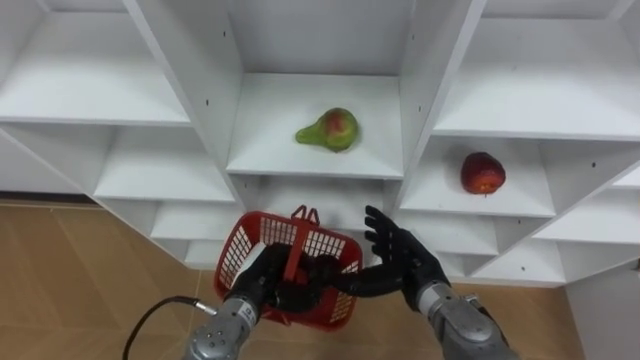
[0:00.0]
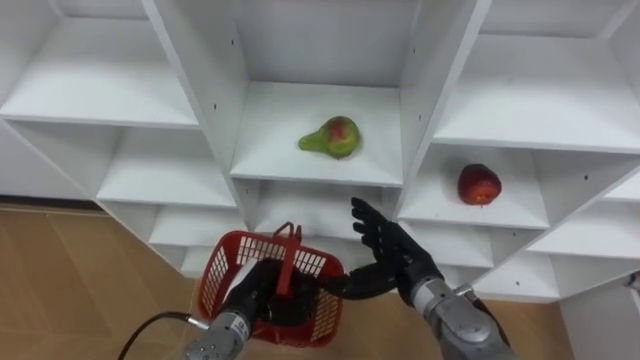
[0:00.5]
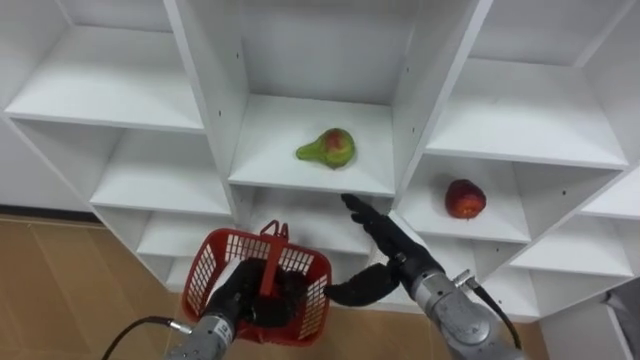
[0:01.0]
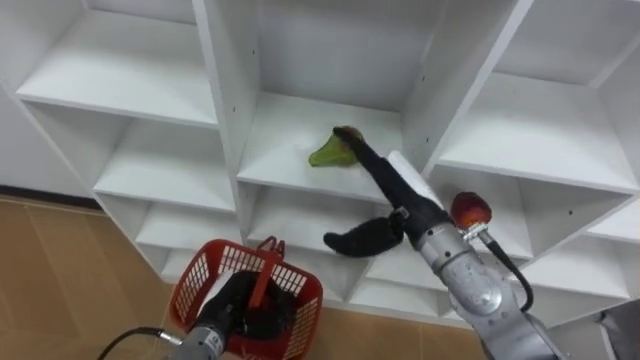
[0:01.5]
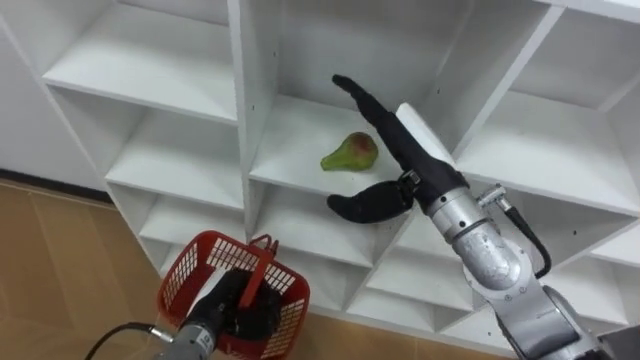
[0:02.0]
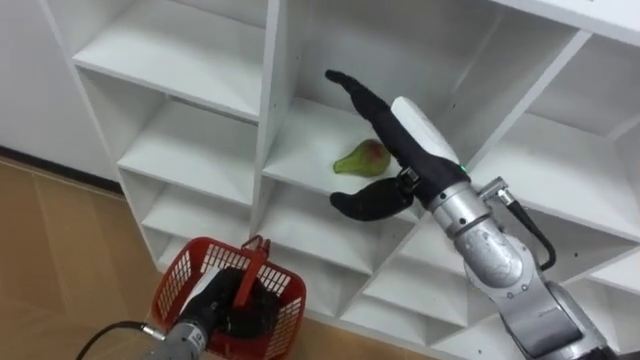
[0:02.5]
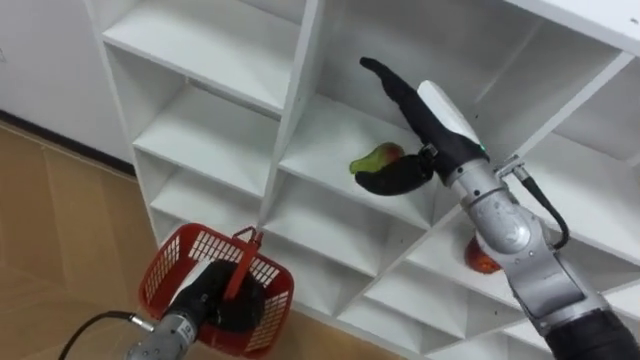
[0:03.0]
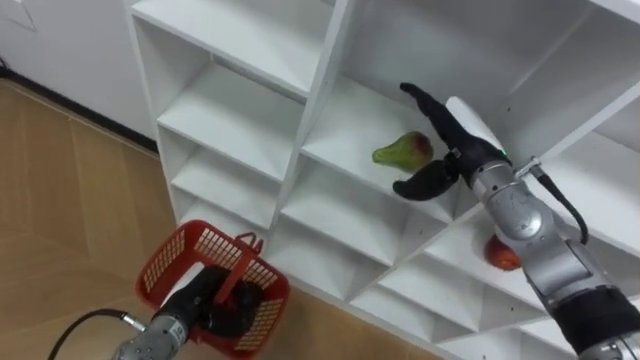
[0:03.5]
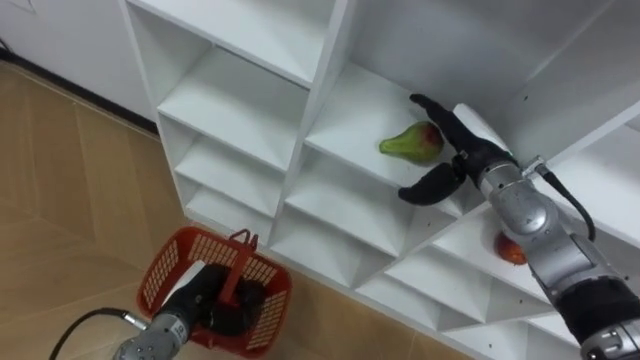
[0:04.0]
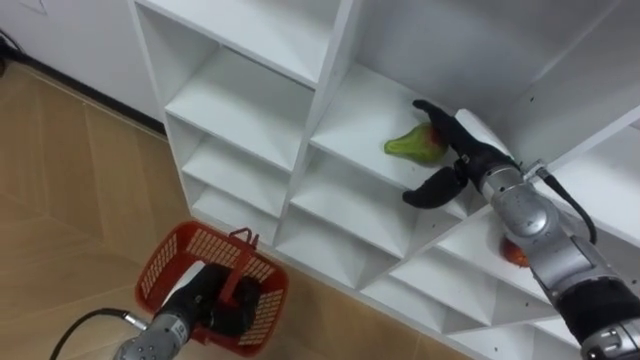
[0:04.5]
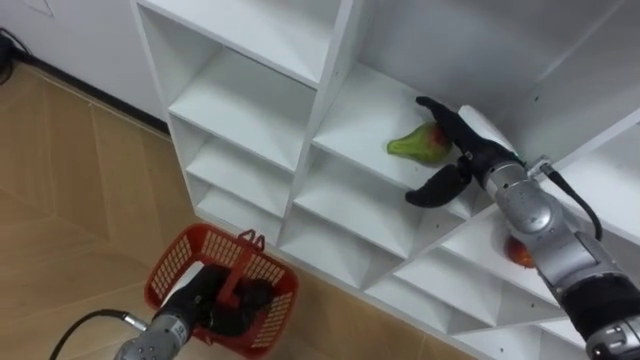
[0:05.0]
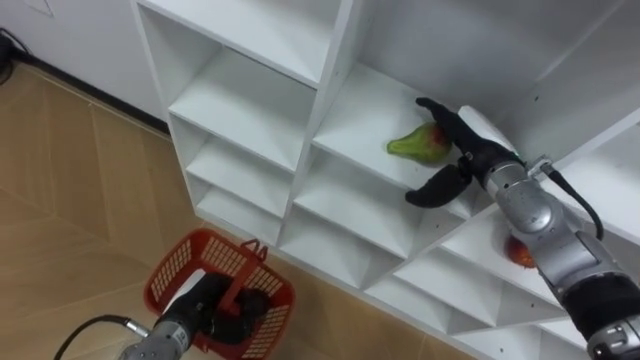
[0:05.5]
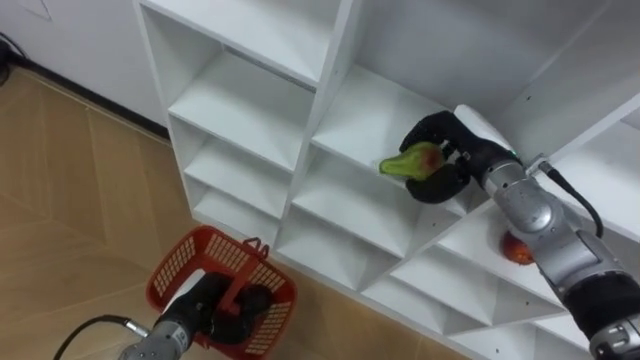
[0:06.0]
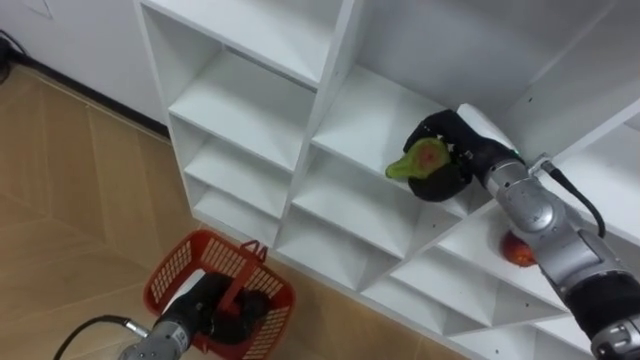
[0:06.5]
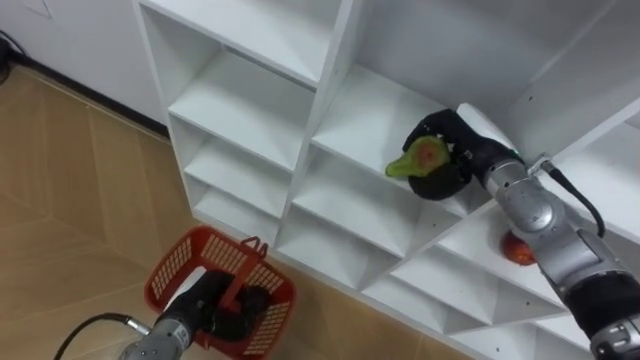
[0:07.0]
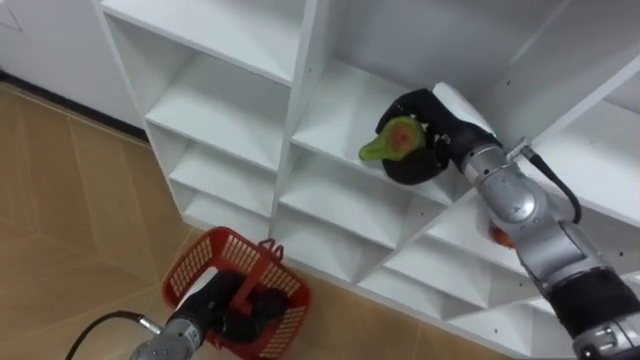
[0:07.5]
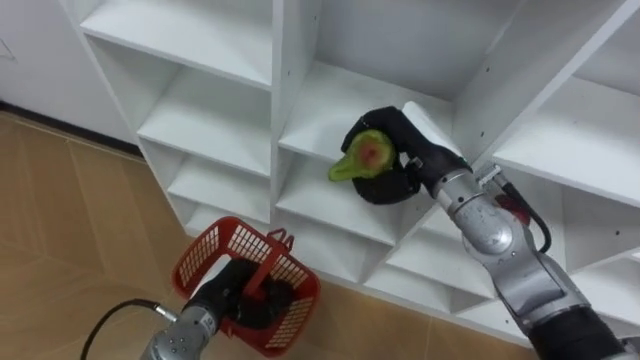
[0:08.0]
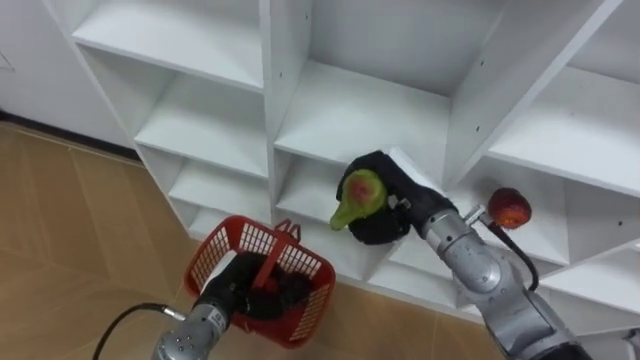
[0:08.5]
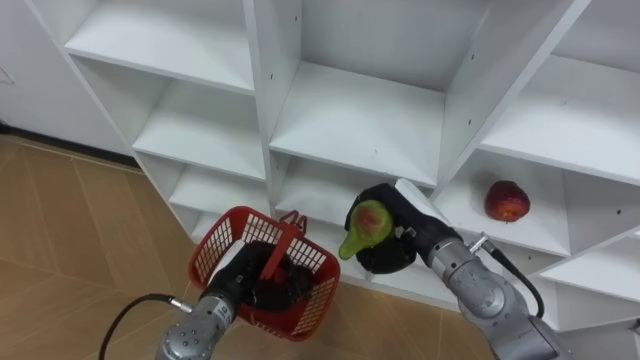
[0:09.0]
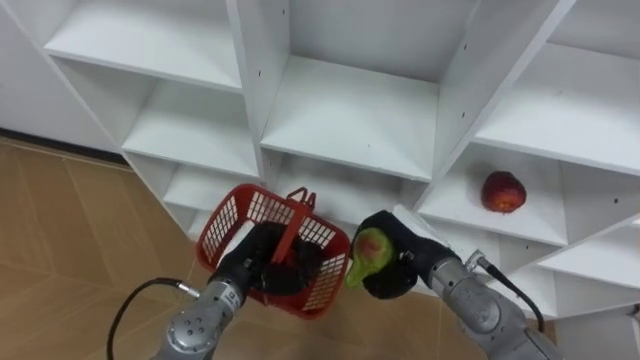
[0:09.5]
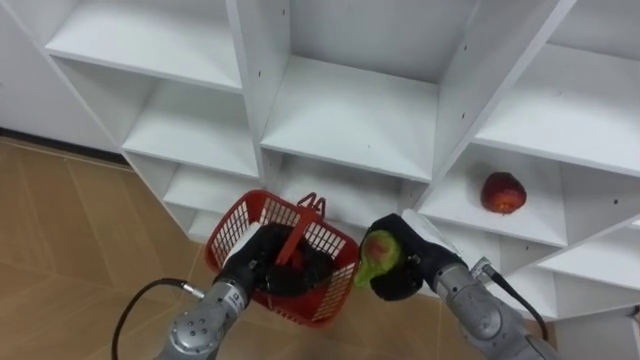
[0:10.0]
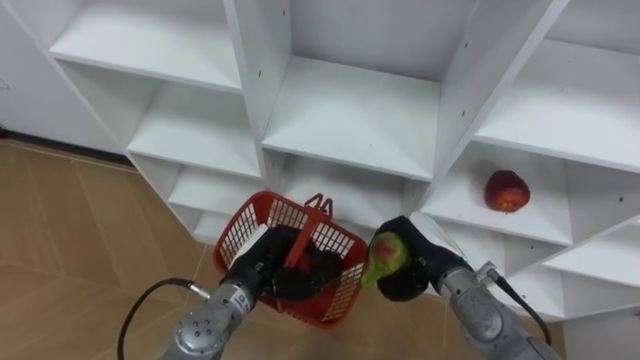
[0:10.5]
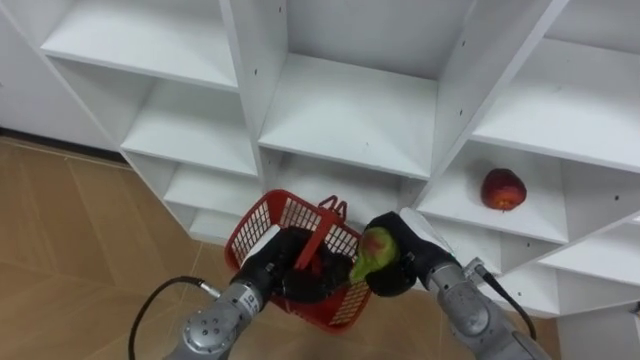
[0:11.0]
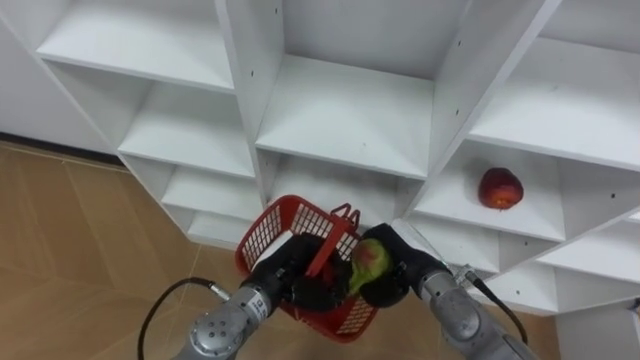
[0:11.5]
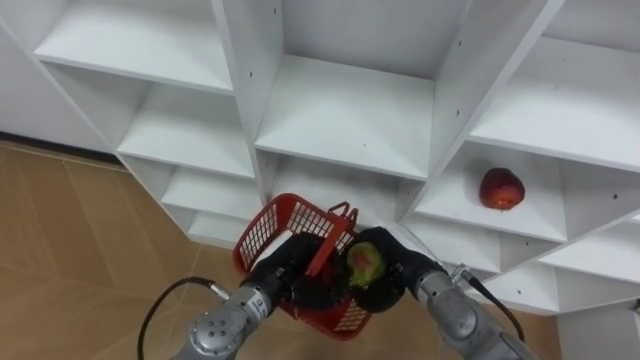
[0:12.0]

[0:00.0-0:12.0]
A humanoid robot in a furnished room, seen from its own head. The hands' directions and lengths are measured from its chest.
Task of the whole recording: Hold the basket and collect the fruits from 3 different cells of the closet into it.
0:00.0 to 0:02.0: The left hand moves to the left, roughly 5 cm, while the right hand moves upward, roughly 20 cm.
0:02.0 to 0:04.0: The right hand moves to the right, forward and downward, roughly 10 cm.
0:04.0 to 0:06.0: The right hand closes its fingers.
0:06.0 to 0:08.0: The right hand goes approximately 5 cm to the left.
0:08.0 to 0:10.0: The right hand heads downward and backward, covering approximately 15 cm, while the left hand heads to the right, covering some 5 cm.
0:10.0 to 0:12.0: The hands move only a little.

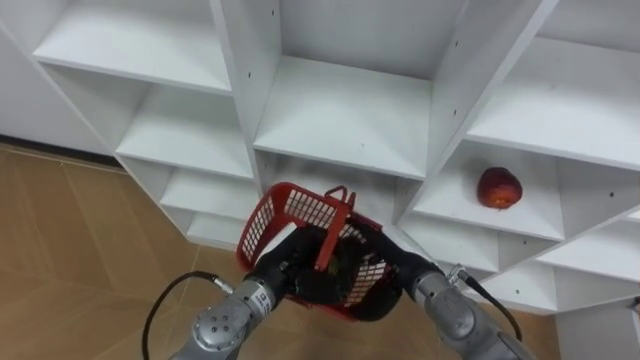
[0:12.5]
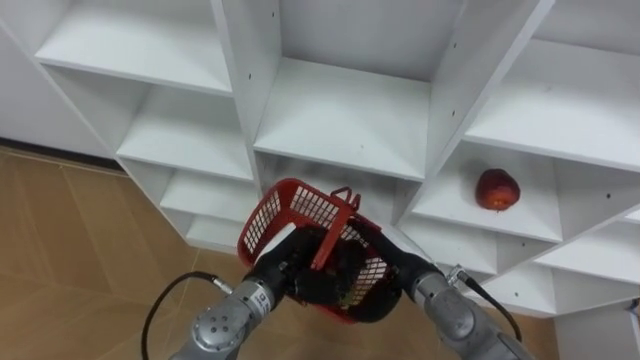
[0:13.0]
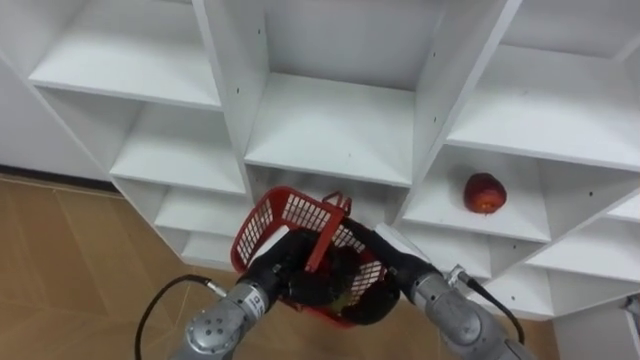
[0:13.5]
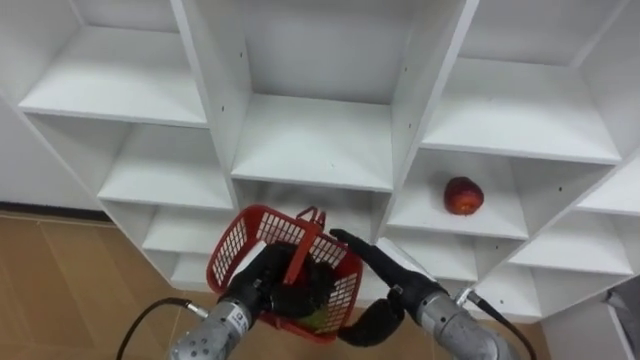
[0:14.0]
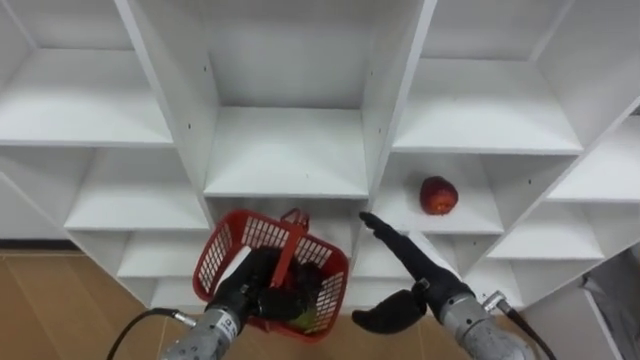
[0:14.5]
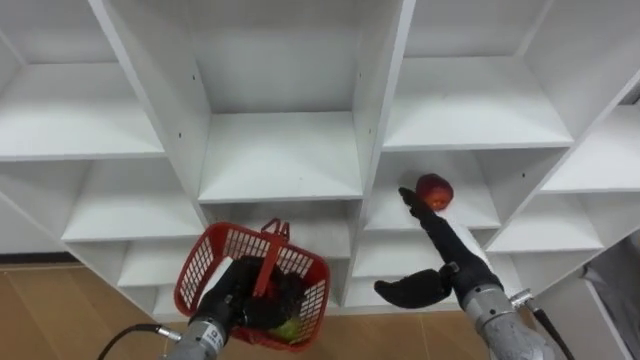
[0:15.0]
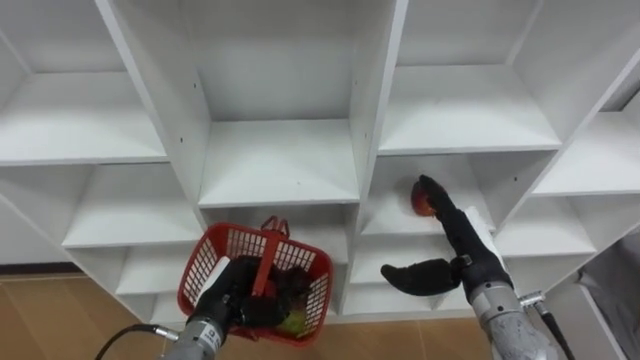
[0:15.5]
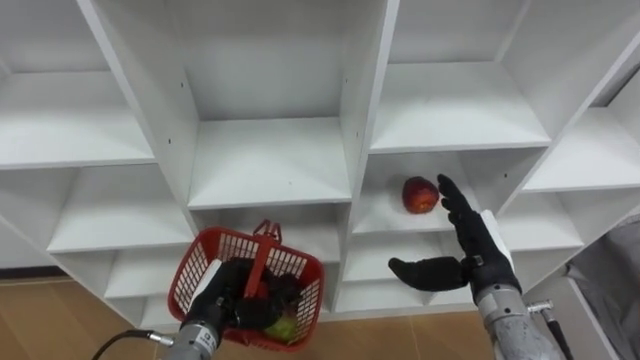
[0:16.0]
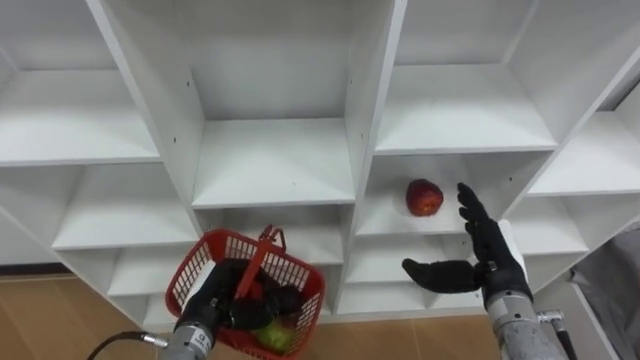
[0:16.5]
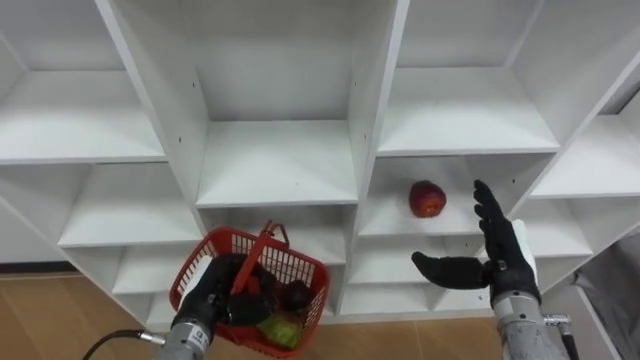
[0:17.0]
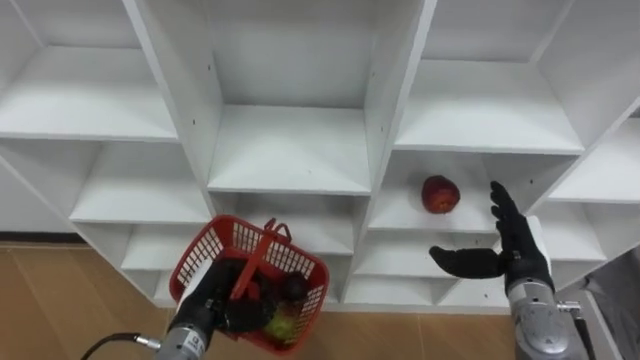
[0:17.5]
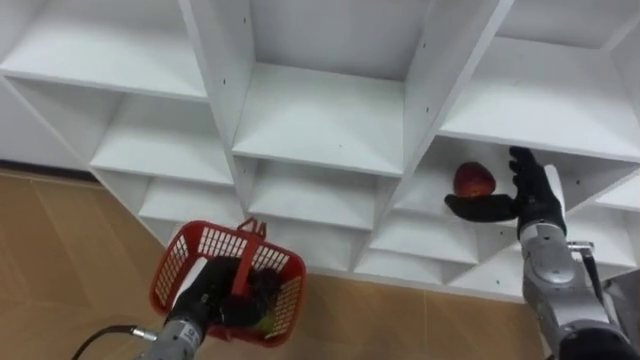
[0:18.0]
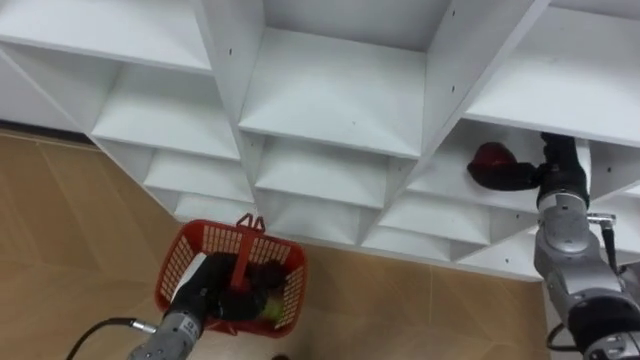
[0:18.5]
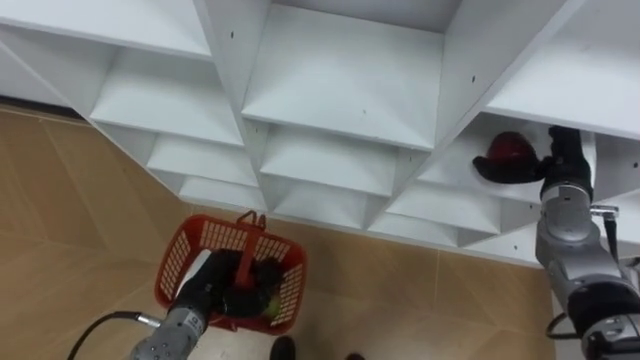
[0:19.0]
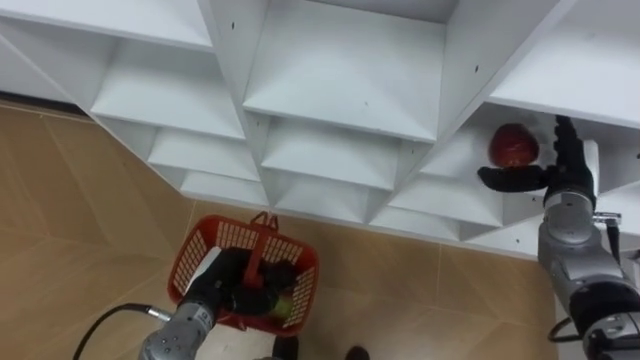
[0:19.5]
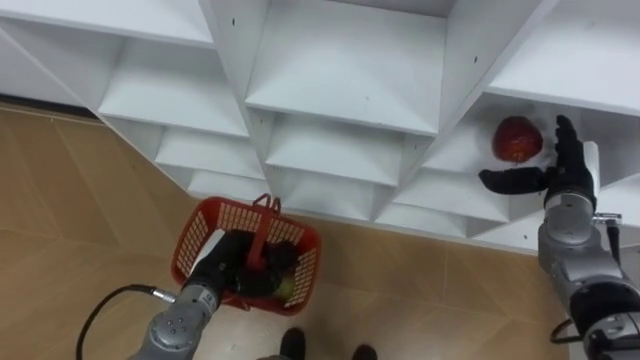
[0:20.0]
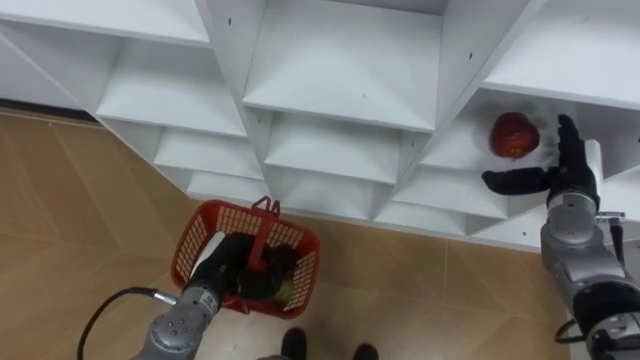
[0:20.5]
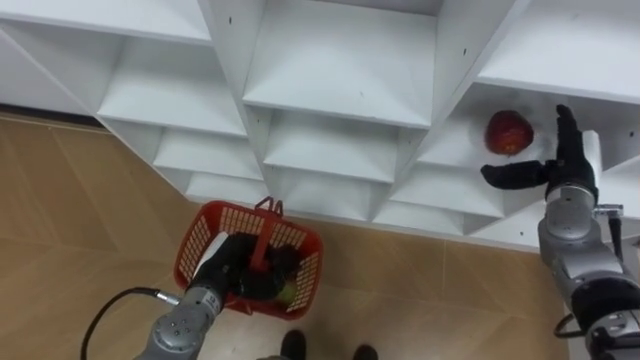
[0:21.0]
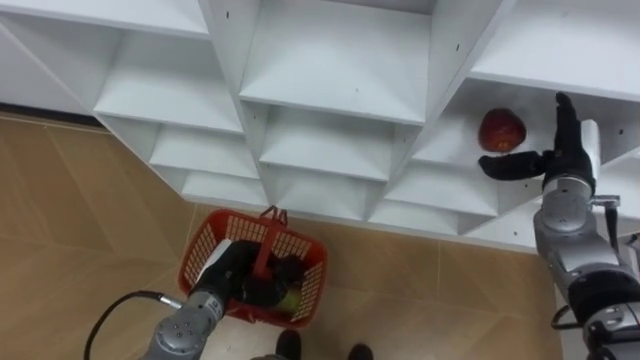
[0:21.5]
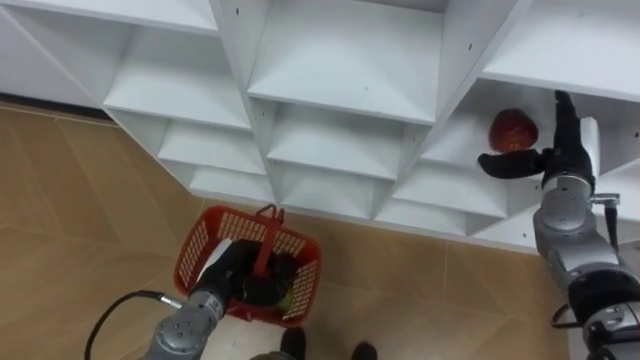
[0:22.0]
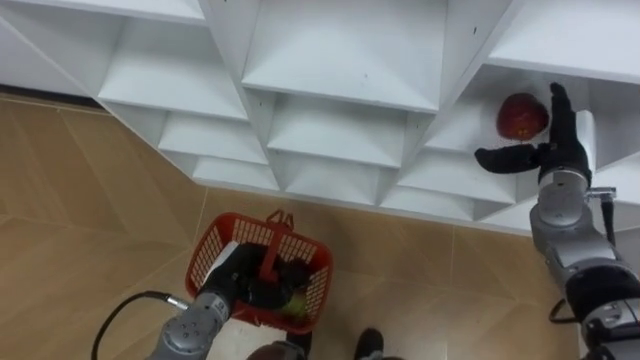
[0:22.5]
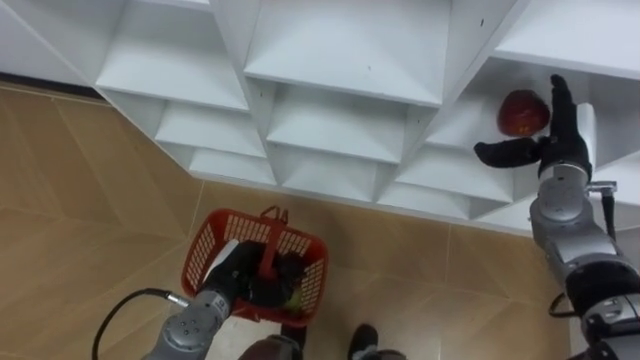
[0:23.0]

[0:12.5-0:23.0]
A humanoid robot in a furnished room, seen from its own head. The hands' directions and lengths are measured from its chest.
Task of the whole recording: Hold the basket and collect the fruits from 3 different cells of the closet into it.
0:12.5 to 0:14.5: The right hand changes place by roughly 5 cm; the left hand heads to the left, covering approximately 5 cm.
0:14.5 to 0:16.5: The left hand shifts by roughly 5 cm, while the right hand is displaced to the right by roughly 10 cm.
0:16.5 to 0:19.0: The right hand travels forward, to the right and upward by approximately 15 cm.
